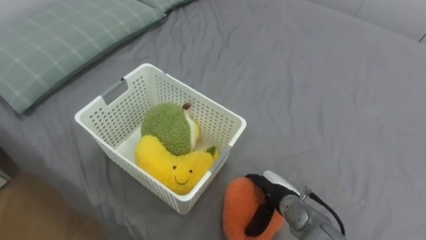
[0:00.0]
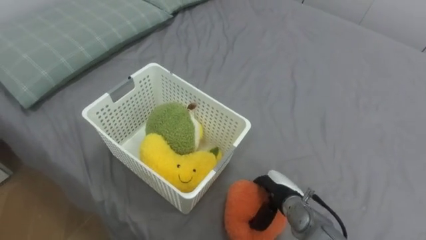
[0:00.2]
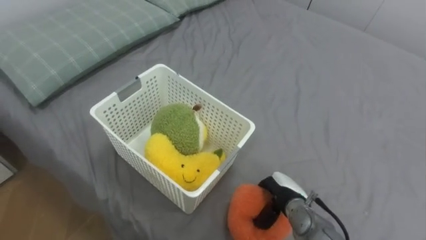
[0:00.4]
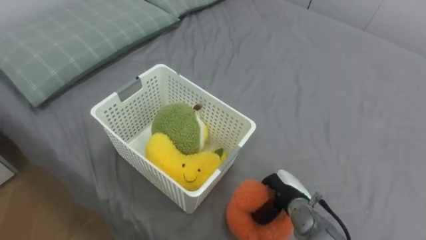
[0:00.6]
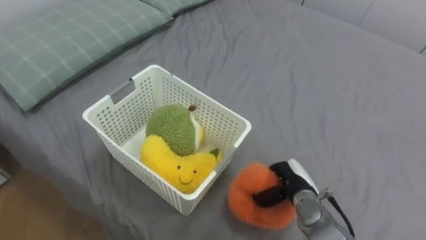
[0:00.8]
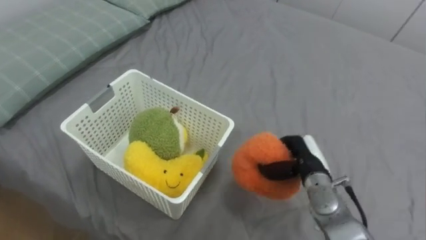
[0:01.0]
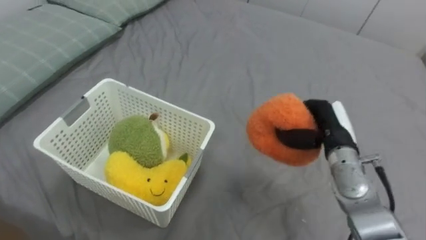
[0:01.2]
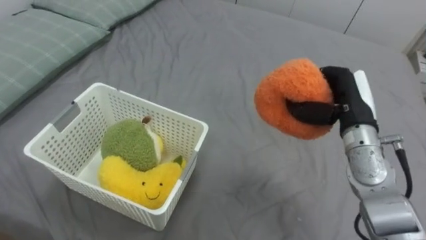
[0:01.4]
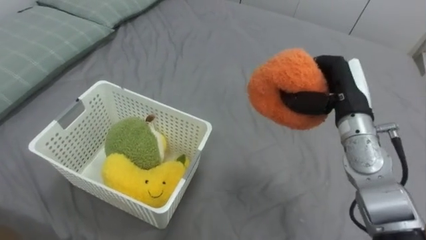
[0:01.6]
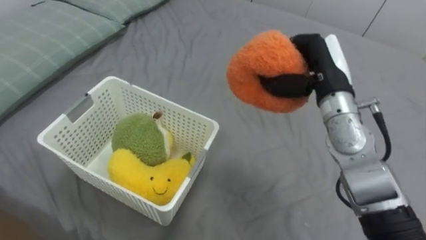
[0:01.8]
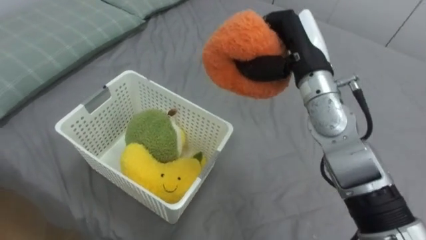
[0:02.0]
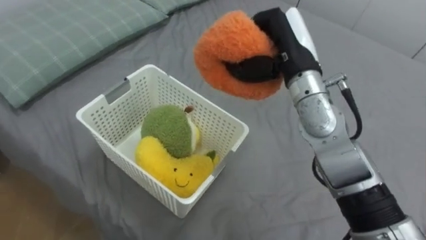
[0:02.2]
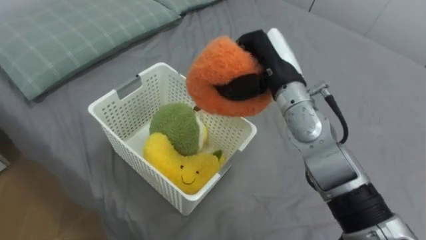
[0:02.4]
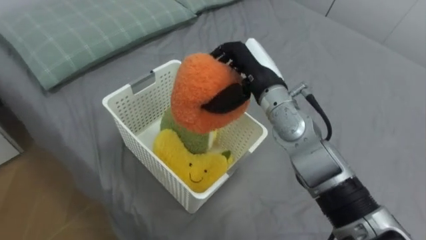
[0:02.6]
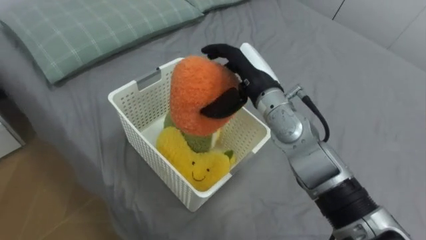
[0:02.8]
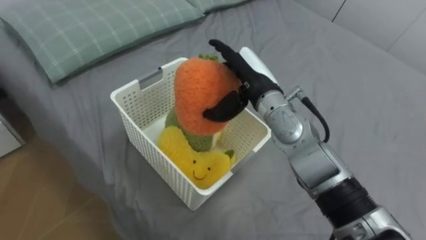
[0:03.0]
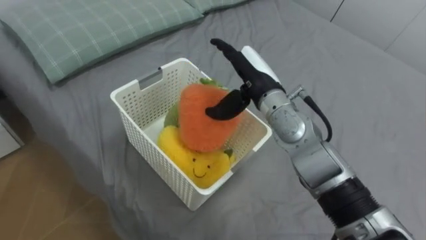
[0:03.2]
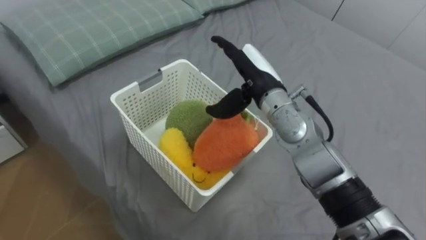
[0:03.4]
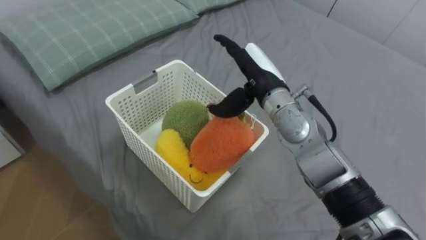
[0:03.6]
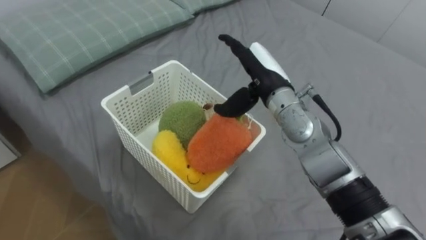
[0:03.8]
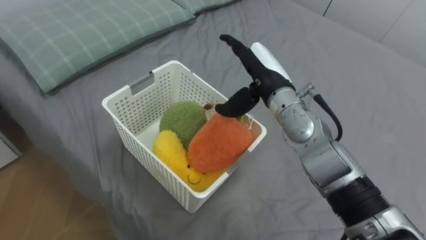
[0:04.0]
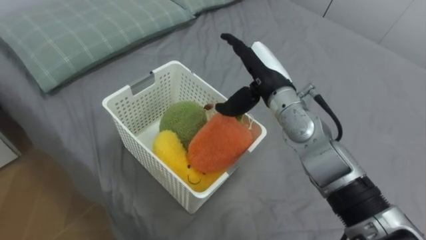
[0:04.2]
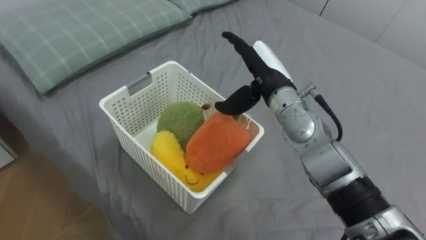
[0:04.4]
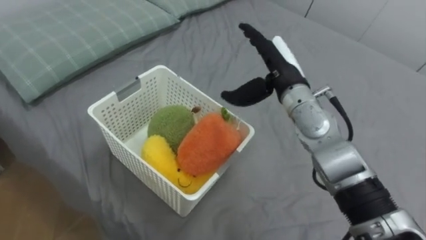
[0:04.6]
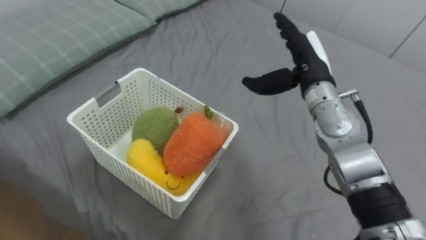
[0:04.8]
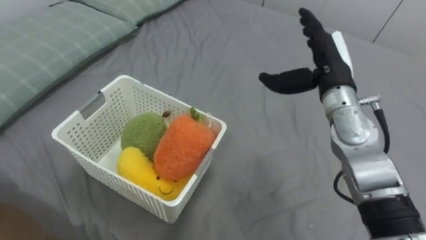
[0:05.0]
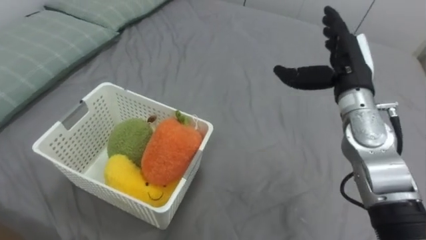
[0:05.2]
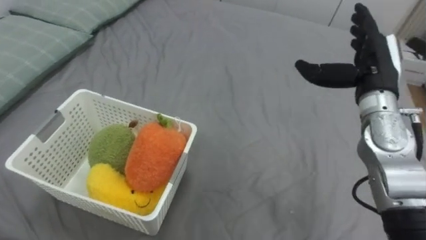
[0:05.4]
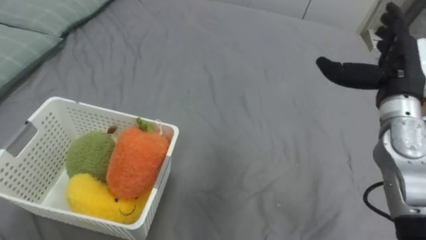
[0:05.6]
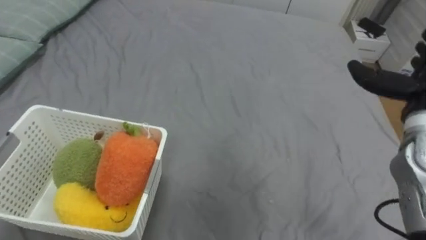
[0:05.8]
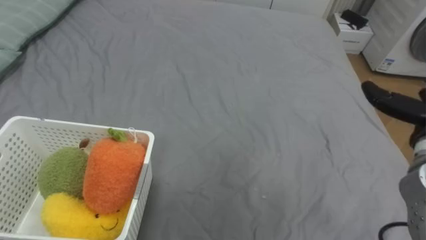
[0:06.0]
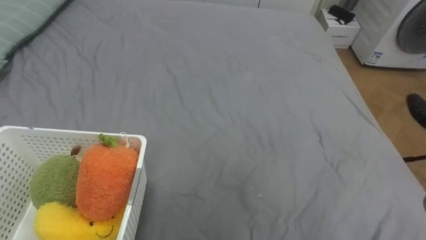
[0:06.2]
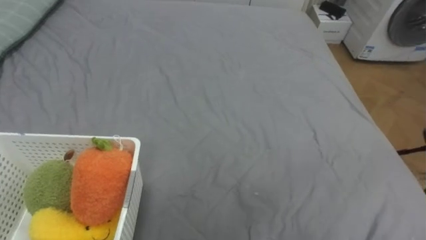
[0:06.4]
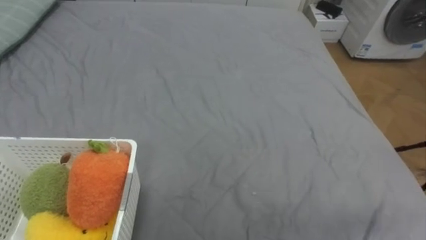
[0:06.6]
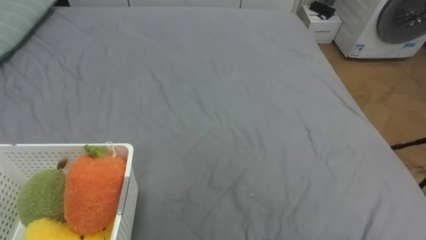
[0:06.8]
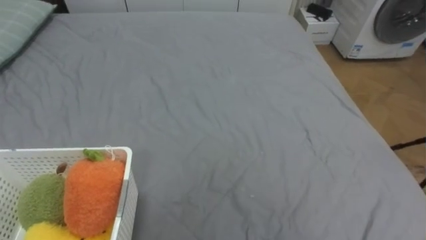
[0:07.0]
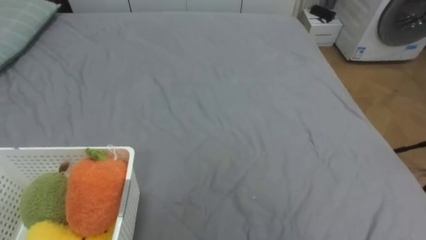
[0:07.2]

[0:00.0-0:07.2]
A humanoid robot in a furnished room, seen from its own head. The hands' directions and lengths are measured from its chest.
Task of the whole recording: Put the toys on the bed into the basket on the left.
0:00.0 to 0:01.4: The right hand shifts about 25 cm upward and to the right, and closes.
0:01.4 to 0:02.8: The right hand moves to the left, some 20 cm, and opens up.
0:04.4 to 0:05.8: The right hand shifts roughly 25 cm to the right.

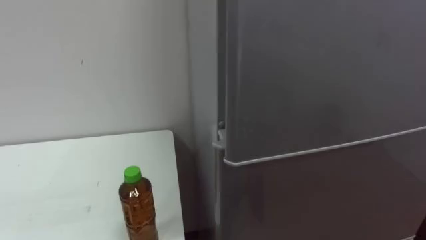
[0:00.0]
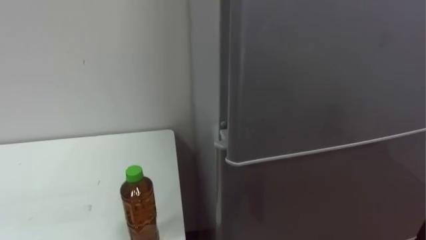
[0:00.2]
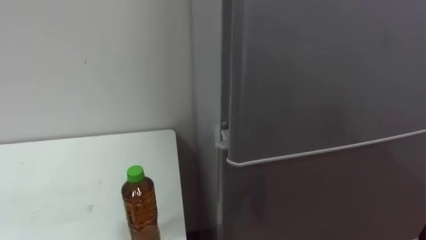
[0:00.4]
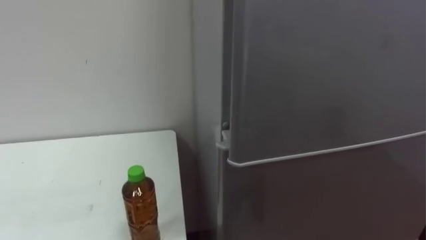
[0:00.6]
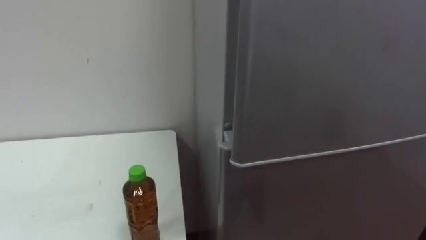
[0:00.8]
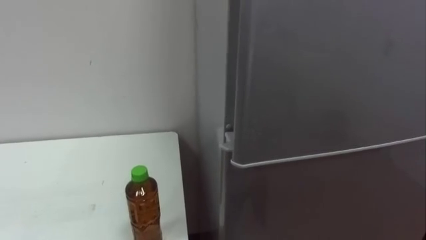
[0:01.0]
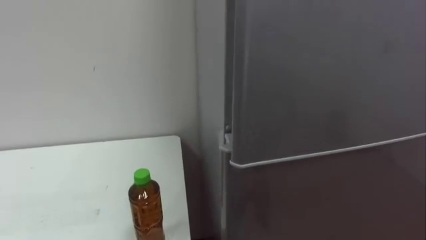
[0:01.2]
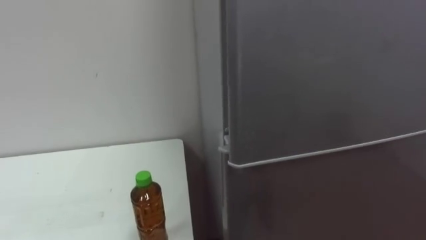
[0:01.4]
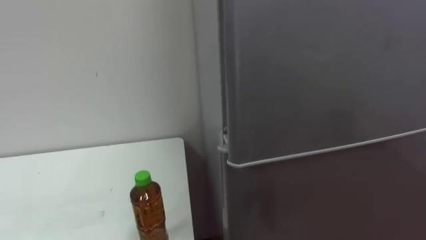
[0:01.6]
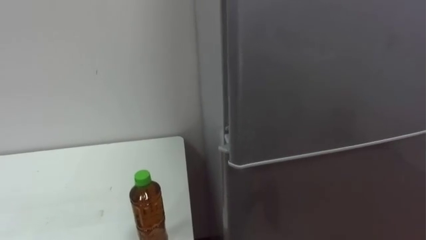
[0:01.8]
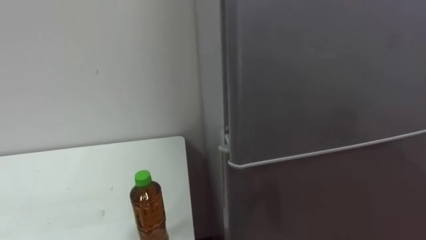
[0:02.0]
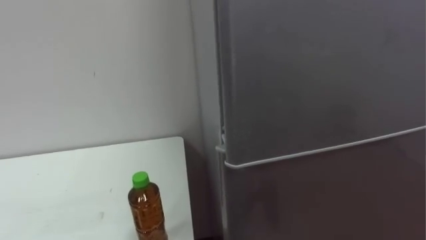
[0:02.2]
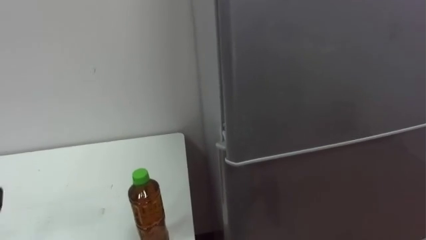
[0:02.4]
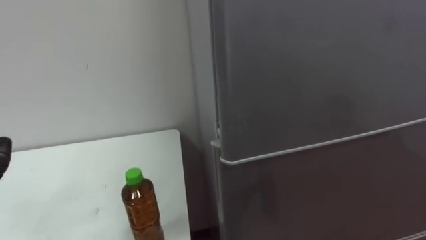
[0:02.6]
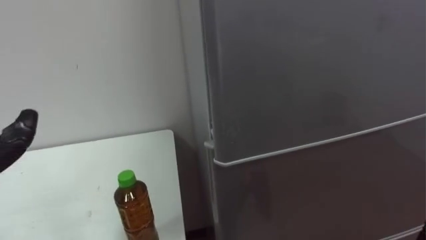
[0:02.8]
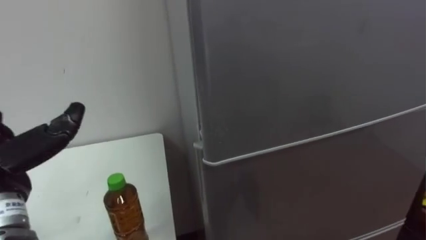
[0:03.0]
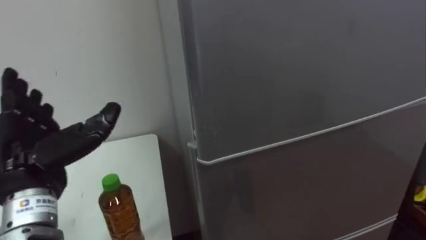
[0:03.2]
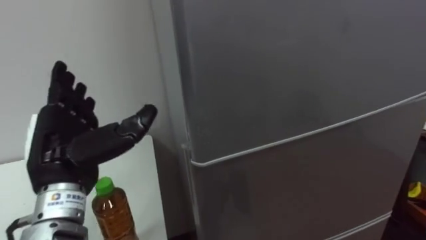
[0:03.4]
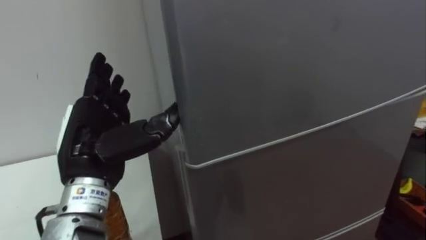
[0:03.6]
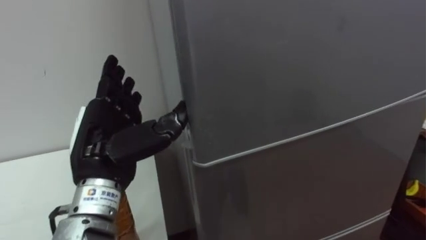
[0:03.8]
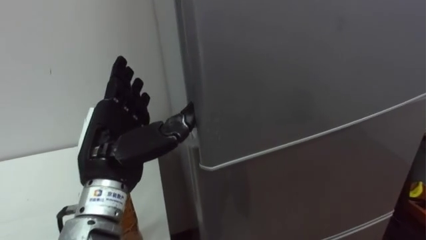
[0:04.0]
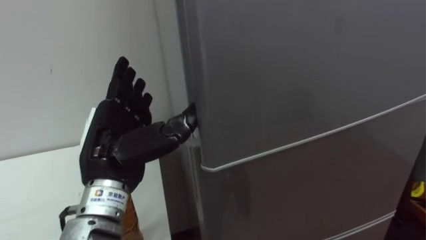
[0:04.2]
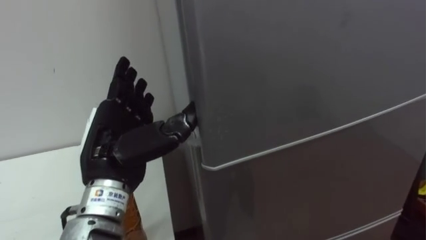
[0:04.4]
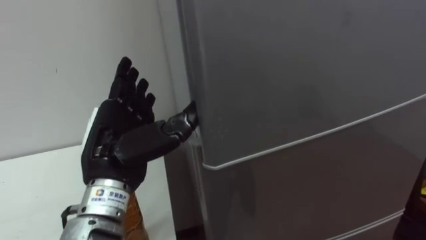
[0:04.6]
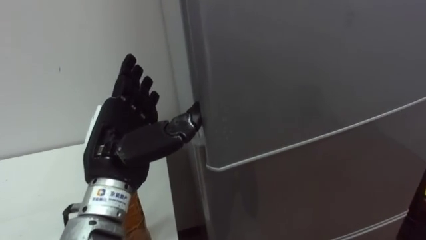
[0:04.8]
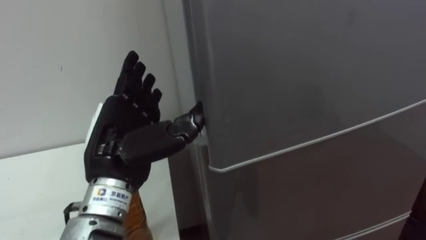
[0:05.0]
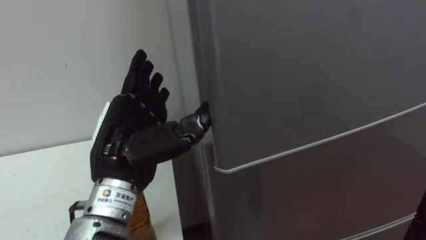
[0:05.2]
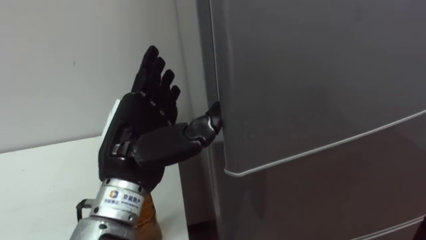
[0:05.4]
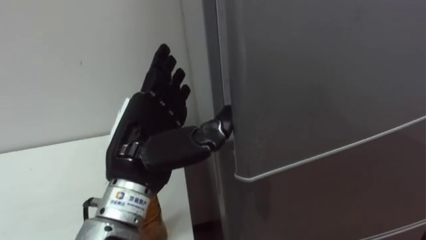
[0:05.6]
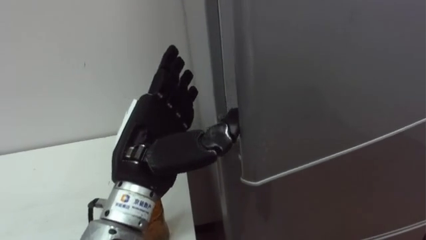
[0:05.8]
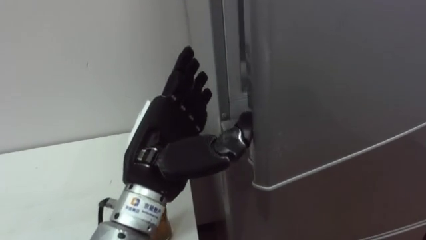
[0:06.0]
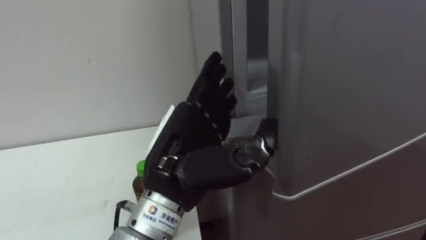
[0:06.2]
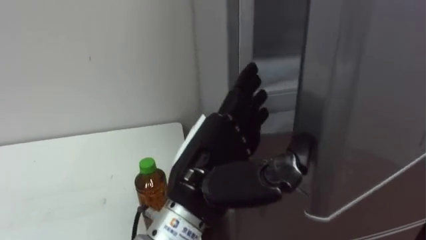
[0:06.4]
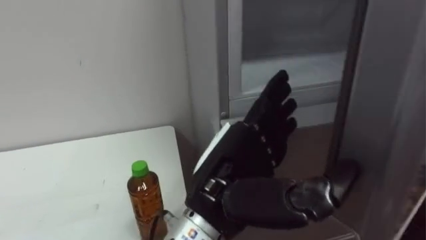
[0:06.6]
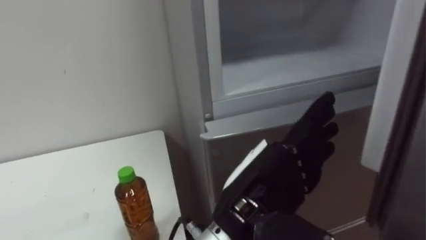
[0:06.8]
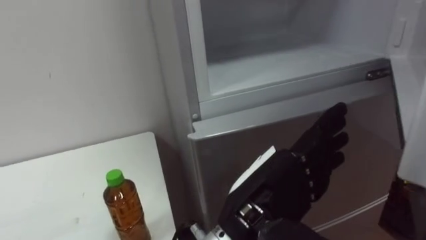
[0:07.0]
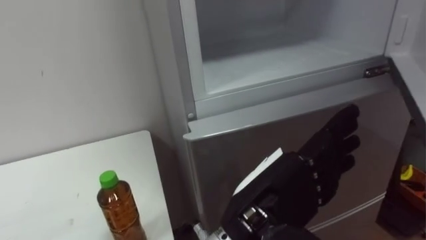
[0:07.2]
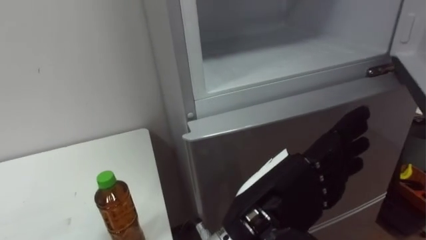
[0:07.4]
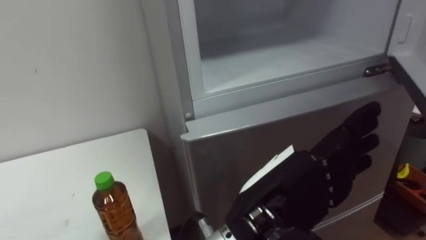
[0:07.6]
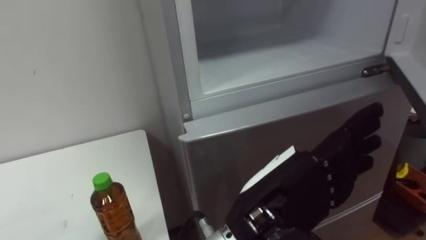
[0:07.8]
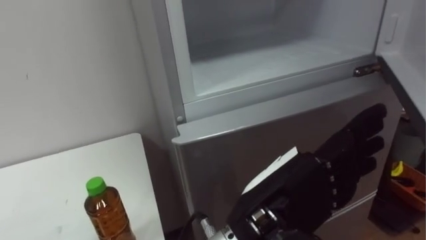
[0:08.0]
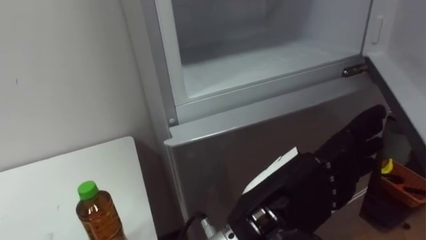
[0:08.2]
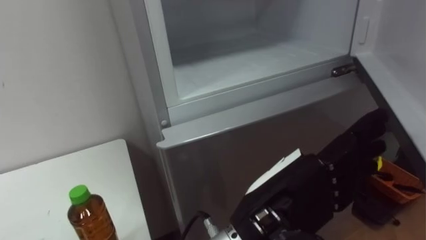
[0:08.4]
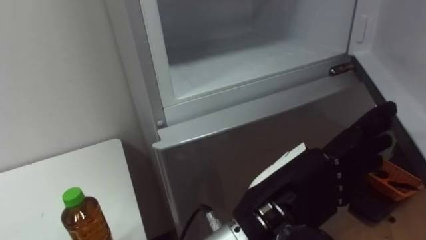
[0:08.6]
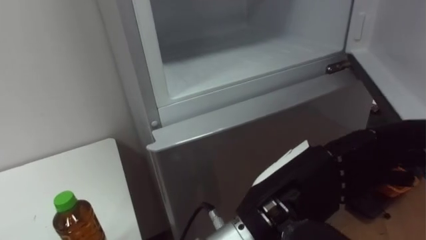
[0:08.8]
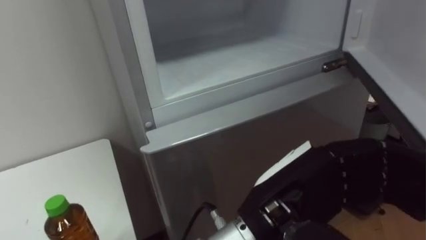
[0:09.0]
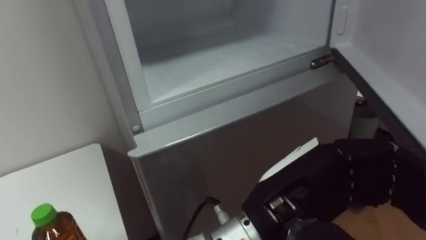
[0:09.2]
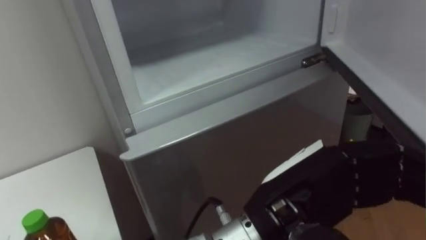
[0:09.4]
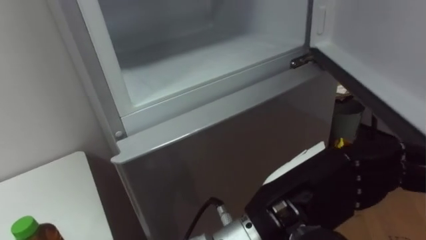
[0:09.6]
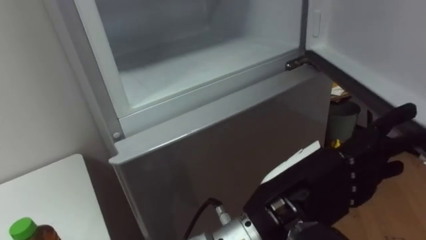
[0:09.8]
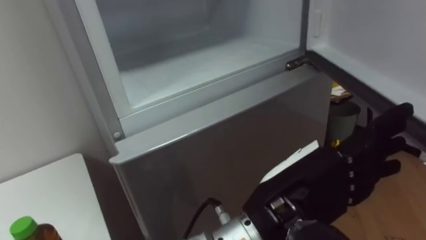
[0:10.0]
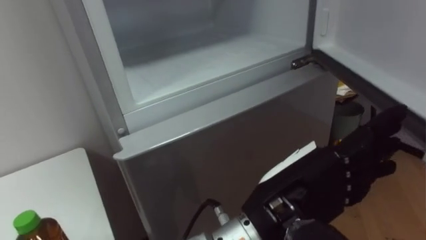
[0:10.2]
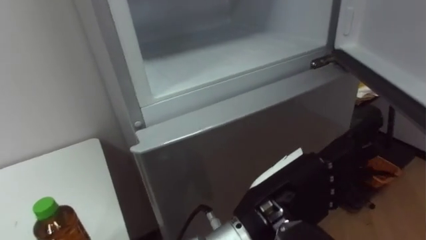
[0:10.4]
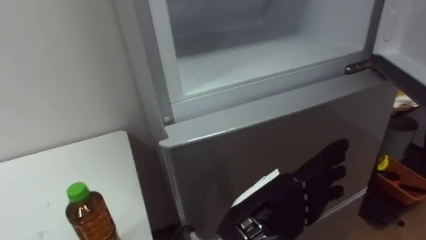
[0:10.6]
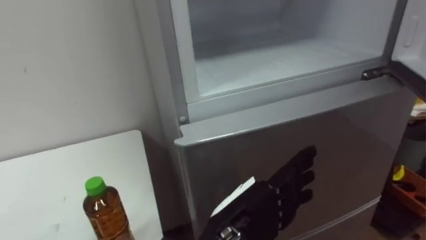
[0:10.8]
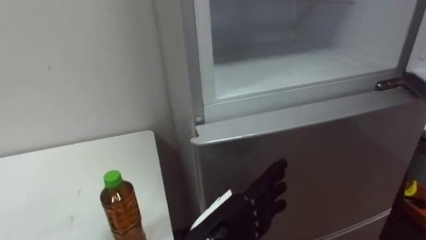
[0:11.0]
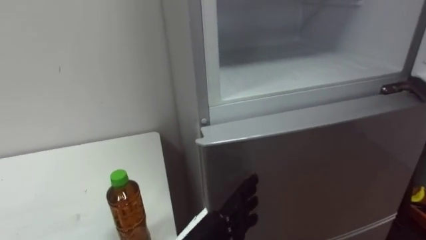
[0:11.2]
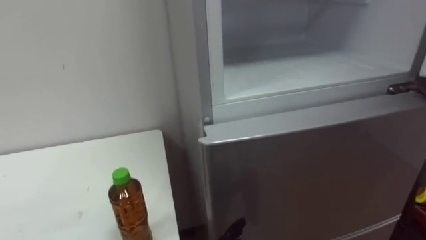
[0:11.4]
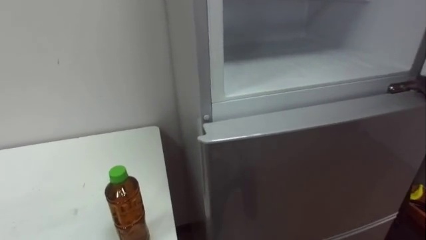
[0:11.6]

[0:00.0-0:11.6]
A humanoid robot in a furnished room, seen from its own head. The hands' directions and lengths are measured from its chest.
Task of the whole recording: Open the upper refrigerator door, put the drink from the table into the refrigerator, and then close the refrigerator door.
0:04.4 to 0:05.8: The left hand moves some 5 cm.
0:05.8 to 0:07.2: The left hand is displaced to the right and backward by some 15 cm.
